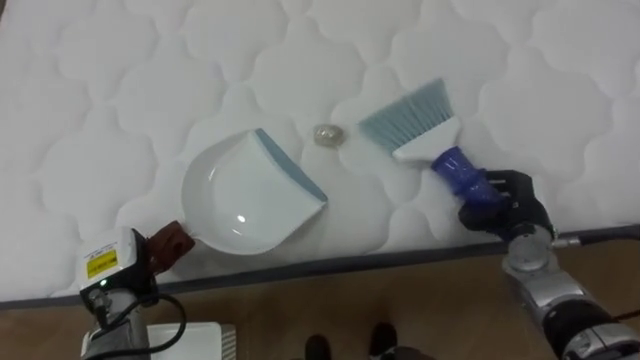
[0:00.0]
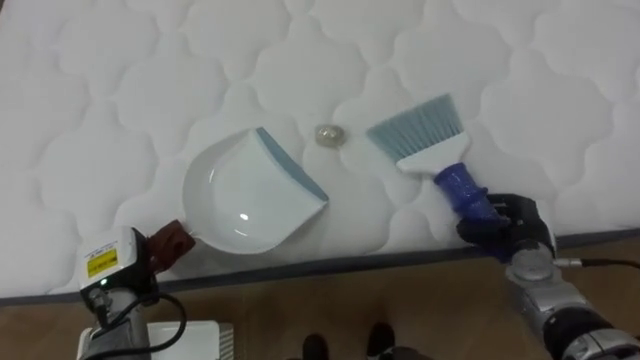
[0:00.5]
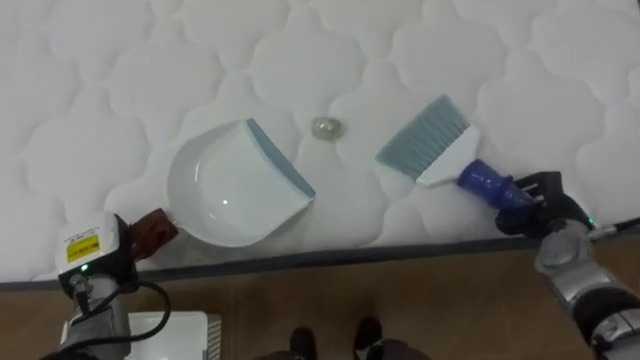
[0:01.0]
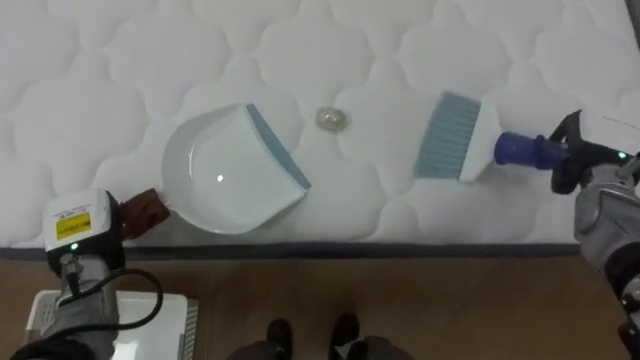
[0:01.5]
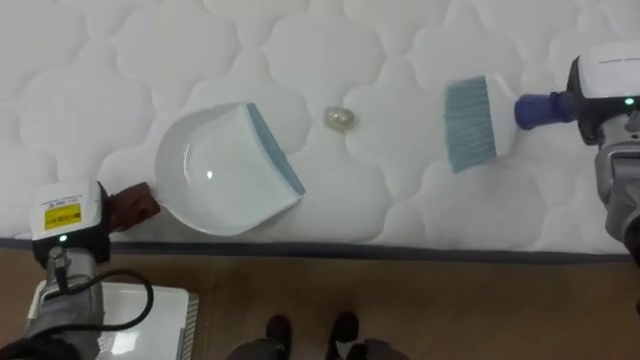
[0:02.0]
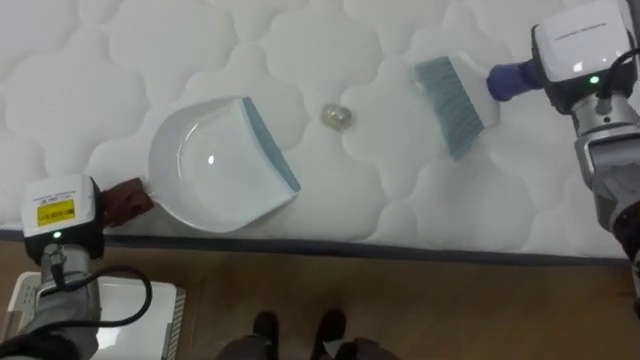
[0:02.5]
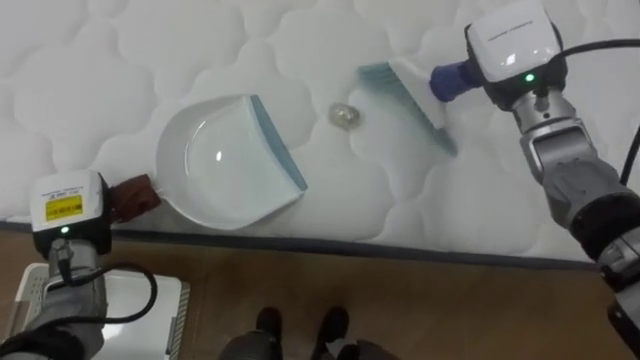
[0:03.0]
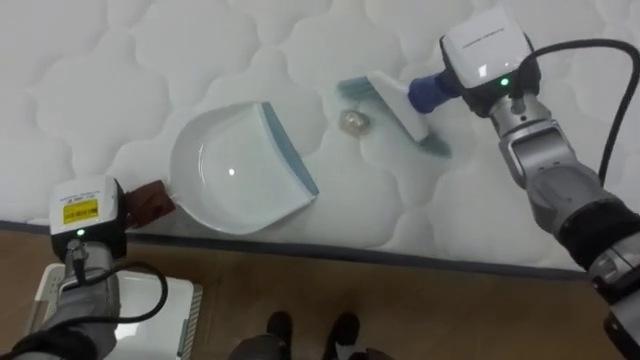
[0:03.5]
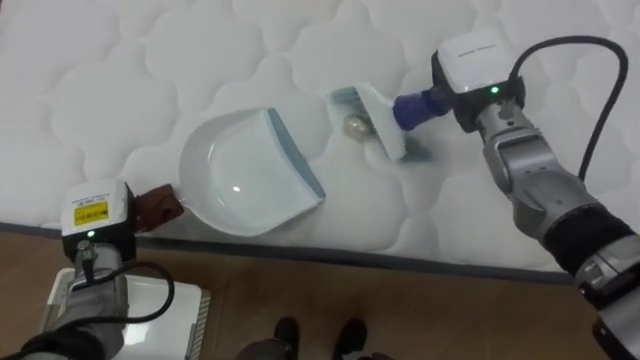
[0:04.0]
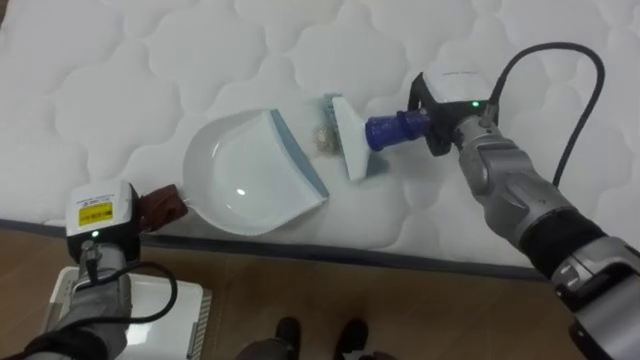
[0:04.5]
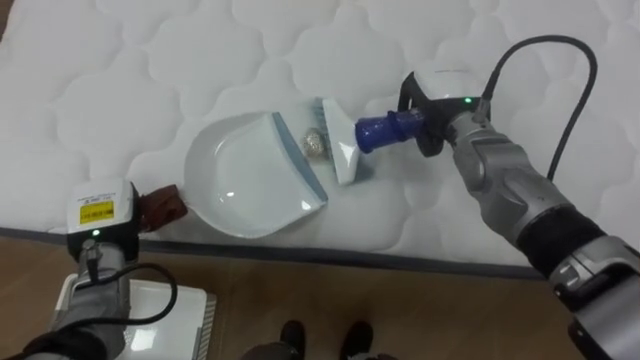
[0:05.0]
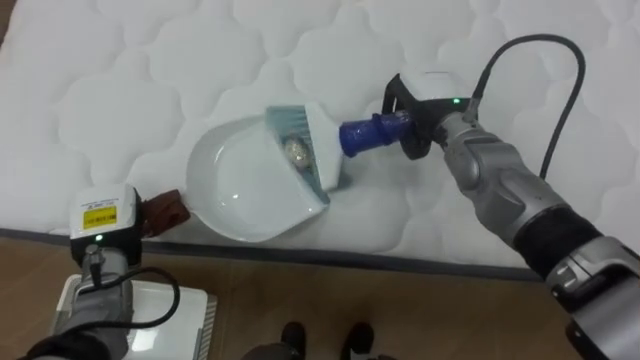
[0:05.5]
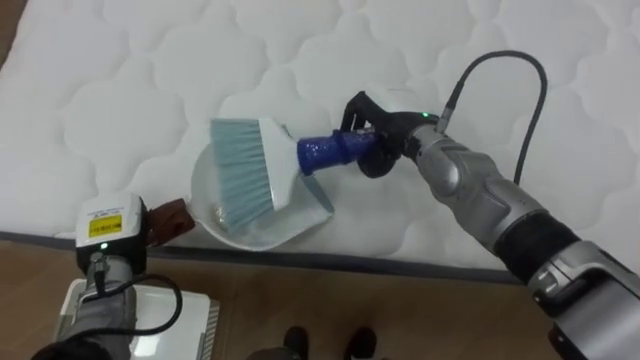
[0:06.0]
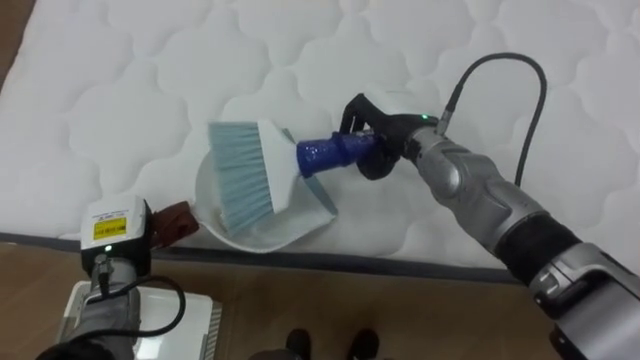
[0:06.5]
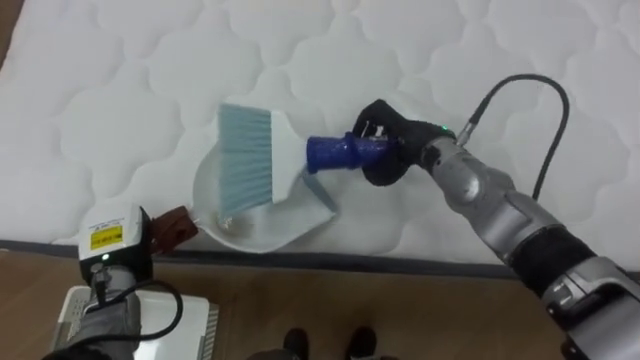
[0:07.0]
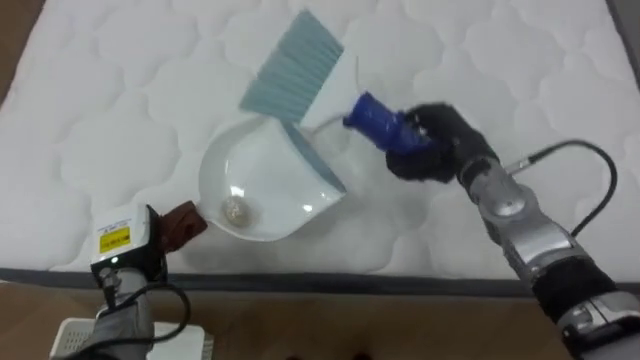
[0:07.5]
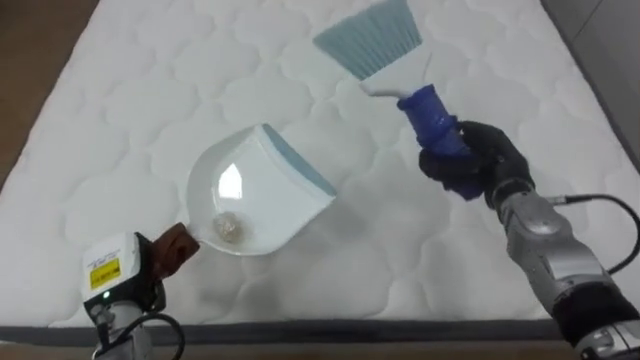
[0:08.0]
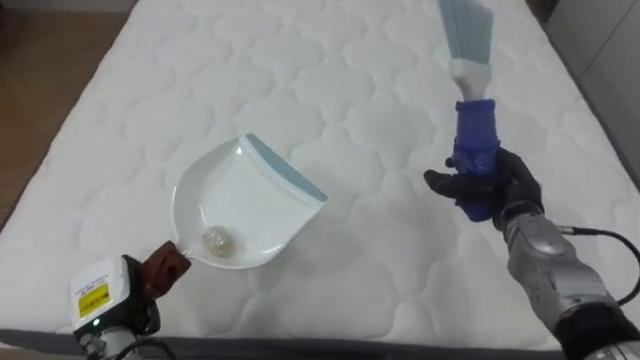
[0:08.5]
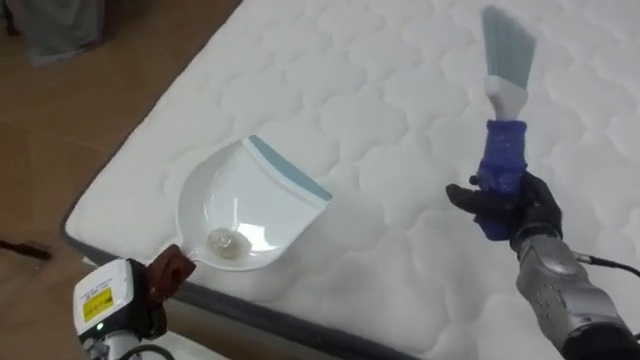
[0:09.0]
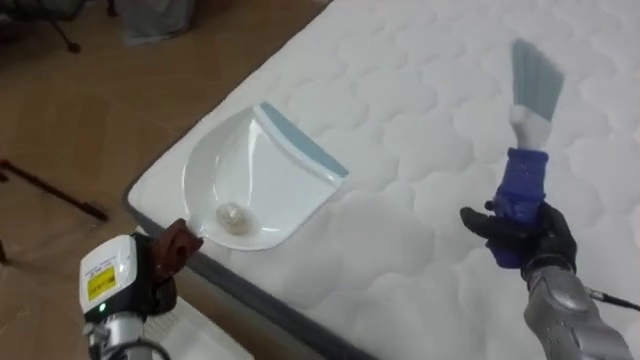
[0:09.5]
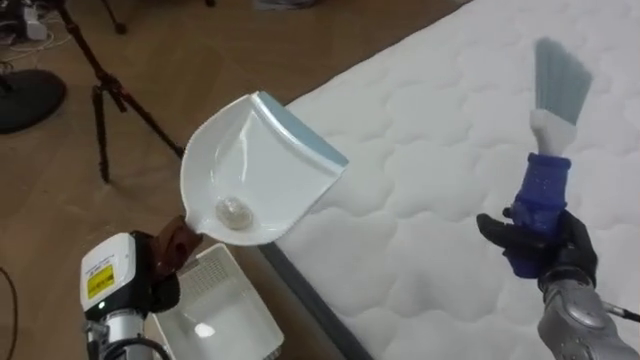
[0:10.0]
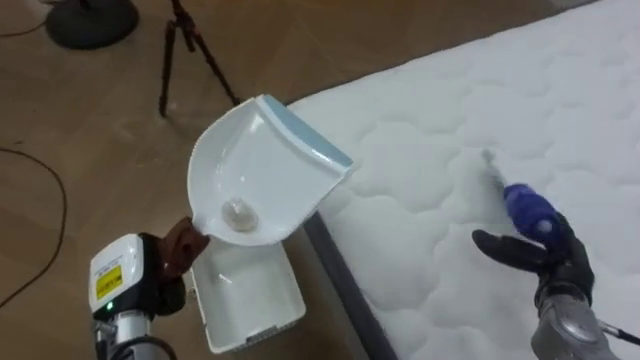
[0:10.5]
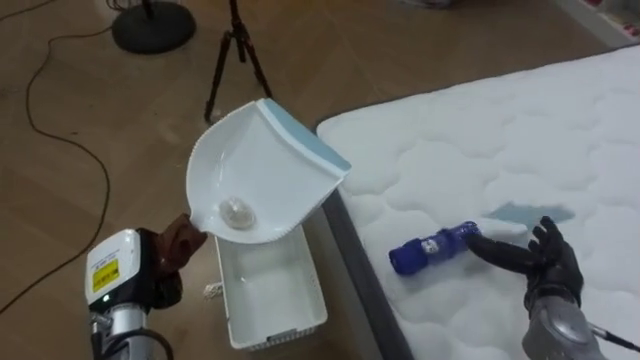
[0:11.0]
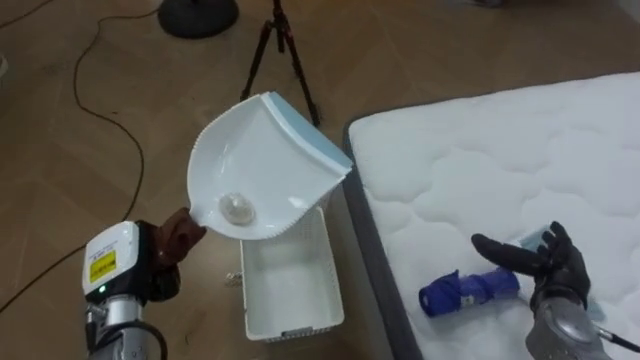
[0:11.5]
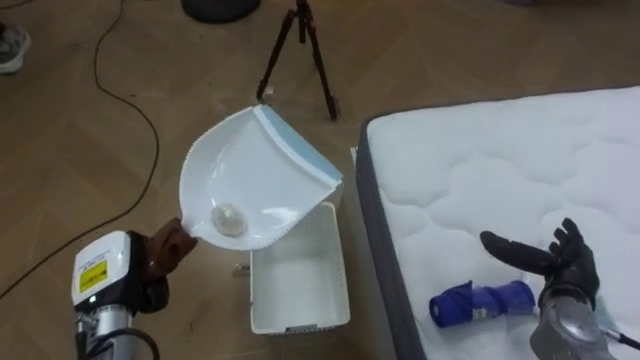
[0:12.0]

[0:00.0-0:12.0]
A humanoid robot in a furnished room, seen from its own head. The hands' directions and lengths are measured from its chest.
Task of the whole recording: Pick up the brush on your right and the dustpan on your left. Use the brush to sweep the crumpled paper on the bed into the dustpan, then turn left and empty it into the basket.
0:00.0 to 0:02.0: The left hand heads upward, covering approximately 5 cm, while the right hand travels upward and forward by some 20 cm.
0:02.0 to 0:04.0: The right hand shifts about 15 cm to the left.
0:04.0 to 0:06.0: The right hand travels to the left by about 10 cm.
0:06.0 to 0:08.0: The left hand changes place by approximately 5 cm. Meanwhile the right hand travels to the right and downward by roughly 15 cm.
0:08.0 to 0:10.0: The robot rotates approximately 55 degrees to its left. The right hand is displaced backward, to the right and downward by about 15 cm.
0:10.0 to 0:12.0: The robot faces about 30 degrees further to its left. The right hand opens.

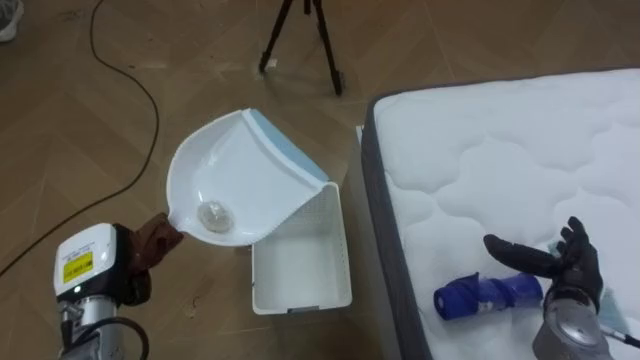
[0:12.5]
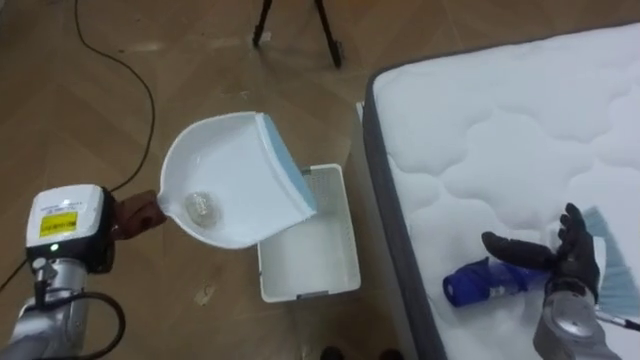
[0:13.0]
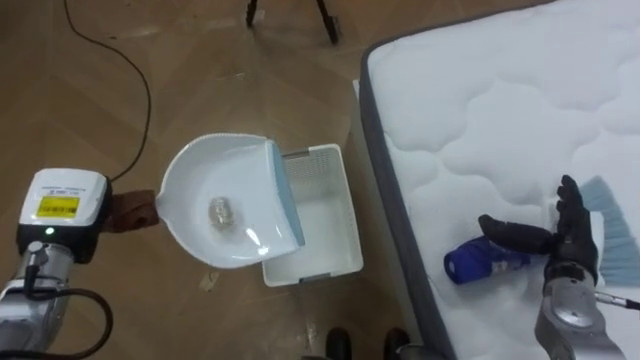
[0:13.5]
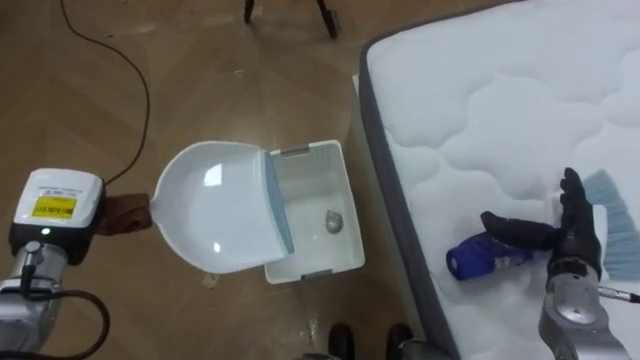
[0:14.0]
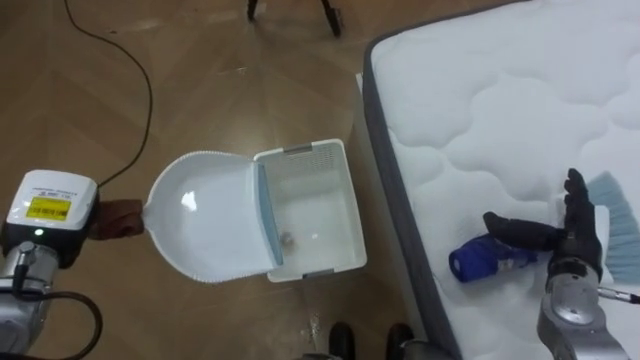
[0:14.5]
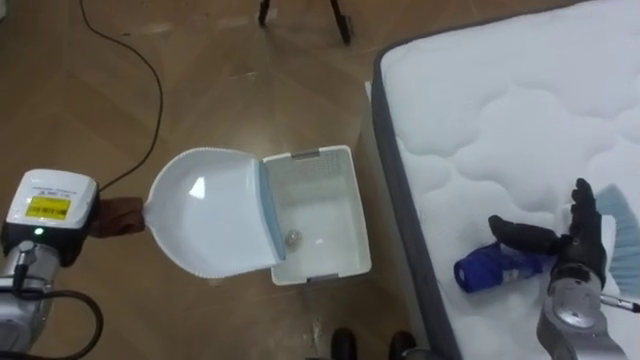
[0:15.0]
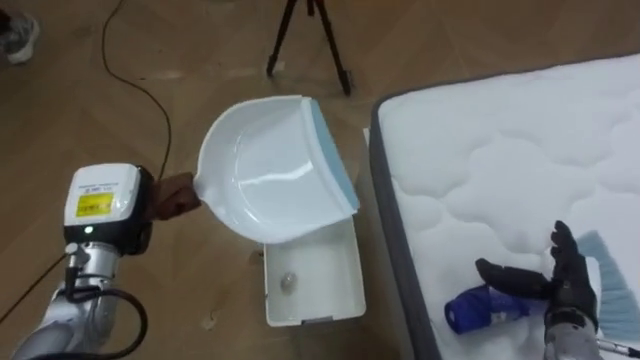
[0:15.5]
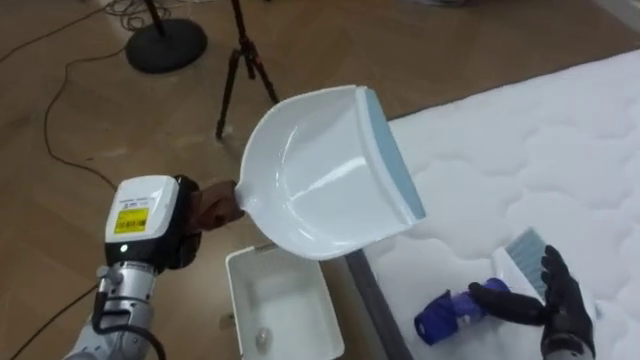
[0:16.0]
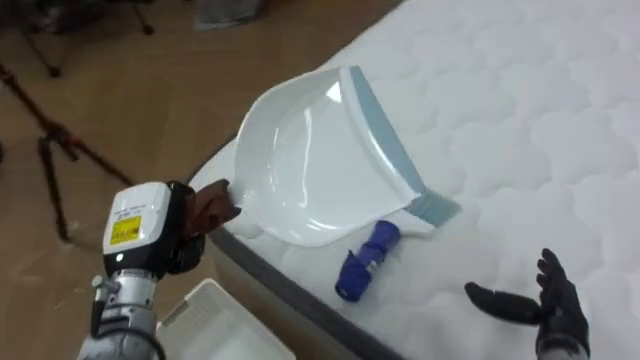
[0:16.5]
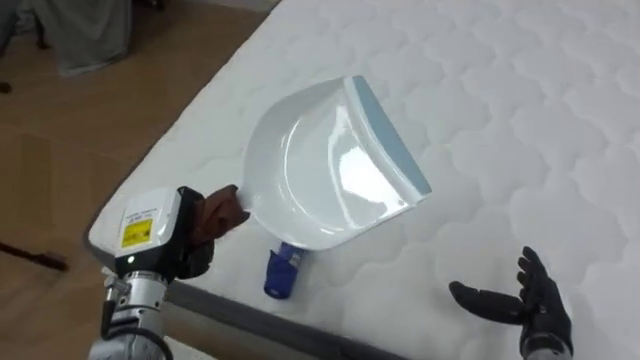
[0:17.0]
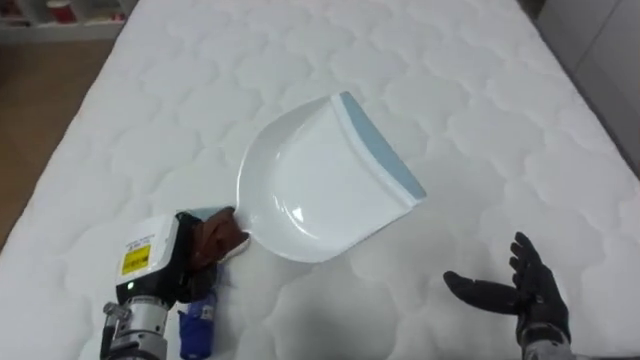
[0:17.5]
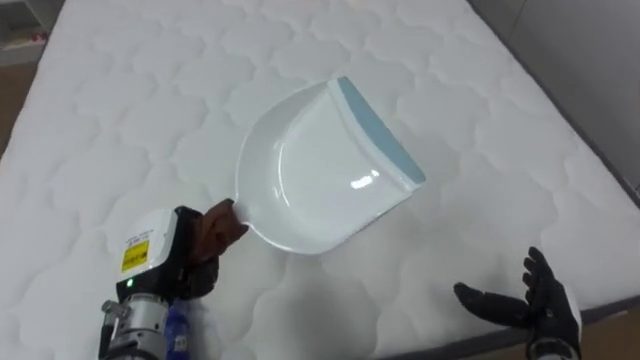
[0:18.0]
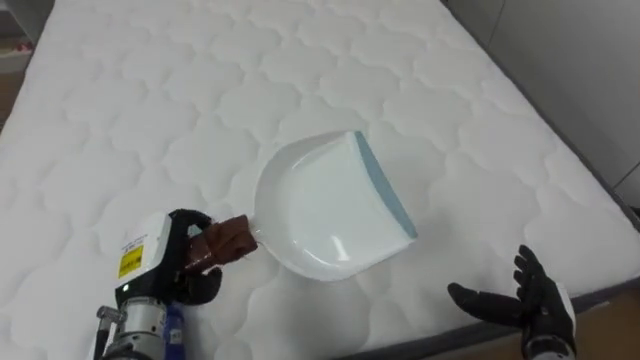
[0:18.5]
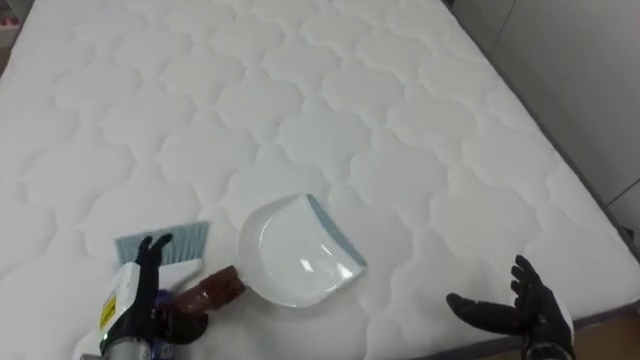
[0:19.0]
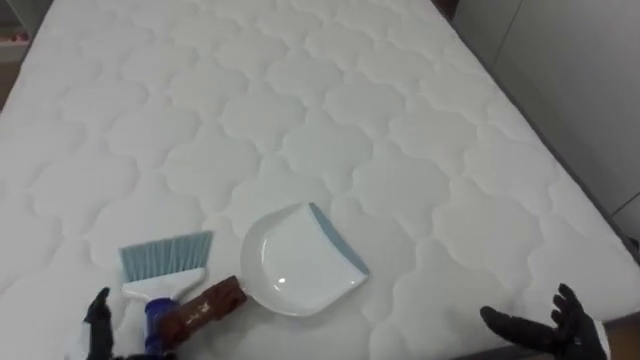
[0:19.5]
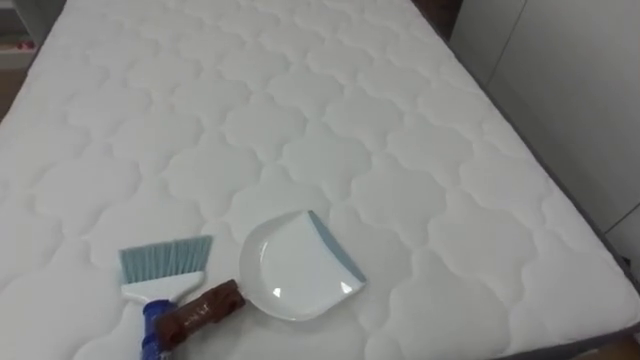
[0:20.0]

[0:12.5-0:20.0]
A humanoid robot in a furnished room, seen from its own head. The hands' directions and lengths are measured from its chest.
Task of the whole recording: Pick up the brush on your right and the dustpan on your left. Use the brush to sweep the crumpled paper on the bed into the dustpan, then turn left and empty it into the basket.
0:12.5 to 0:14.5: The left hand is displaced upward by about 5 cm.
0:14.5 to 0:16.5: The robot faces some 45 degrees further to its right. The right hand moves backward and downward, about 10 cm. The left hand goes roughly 10 cm to the right.
0:16.5 to 0:18.0: The robot turns to its right by some 45 degrees.
